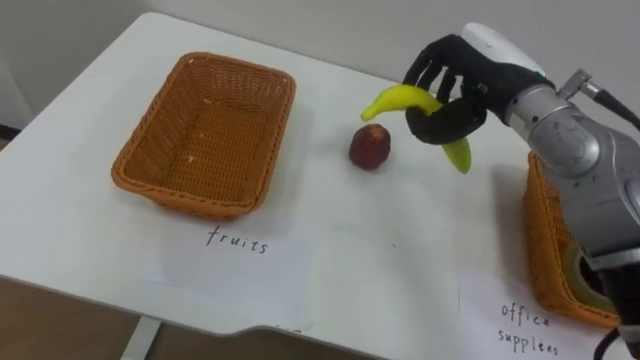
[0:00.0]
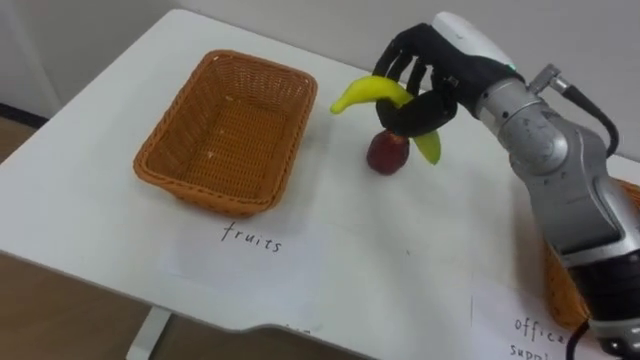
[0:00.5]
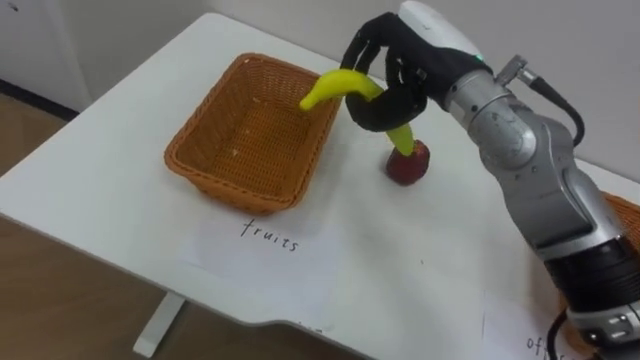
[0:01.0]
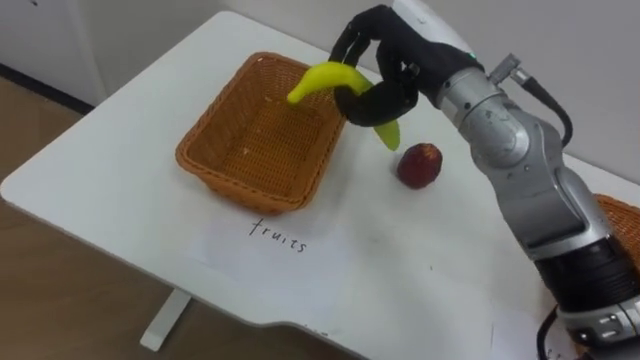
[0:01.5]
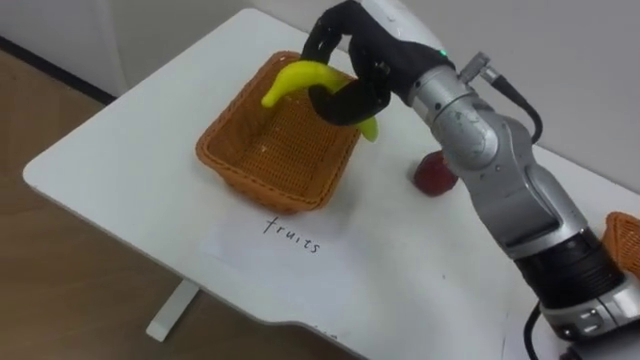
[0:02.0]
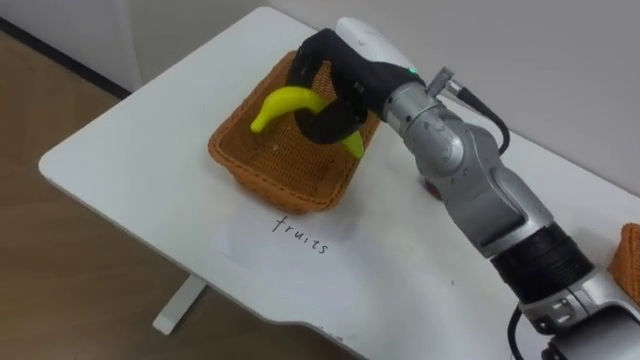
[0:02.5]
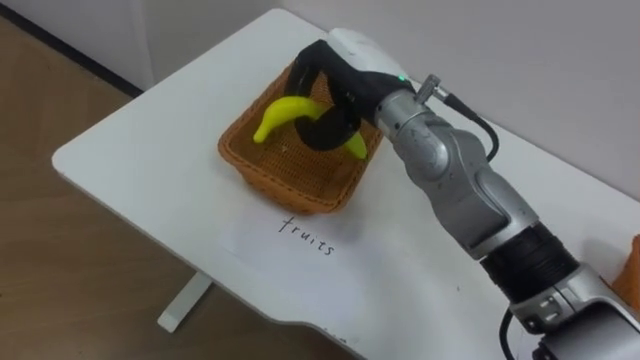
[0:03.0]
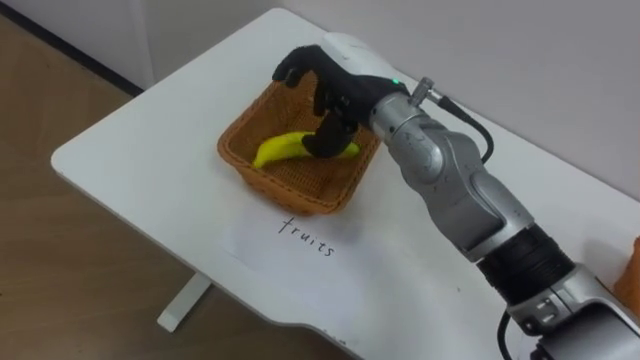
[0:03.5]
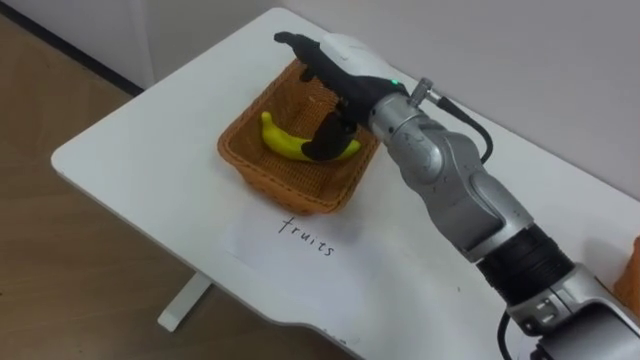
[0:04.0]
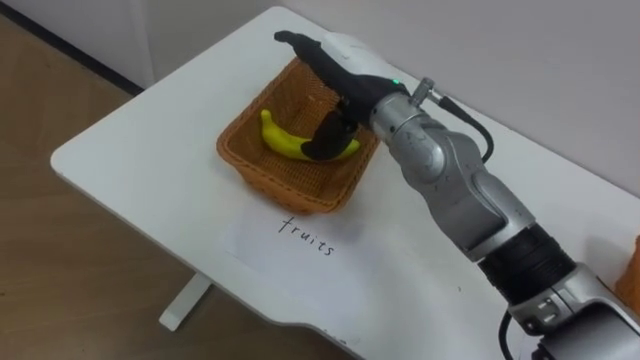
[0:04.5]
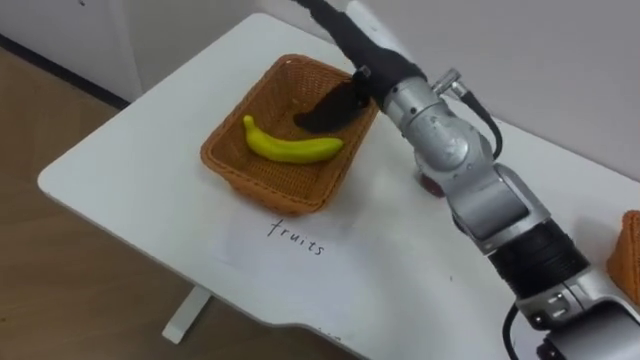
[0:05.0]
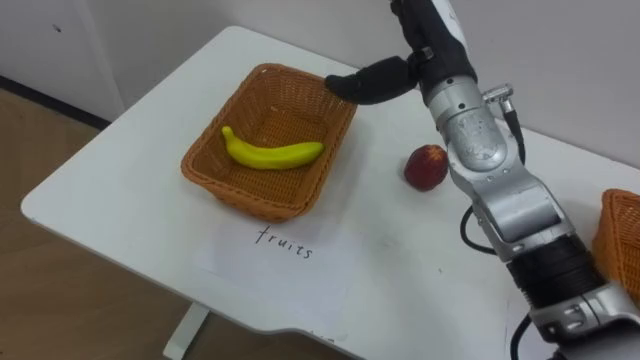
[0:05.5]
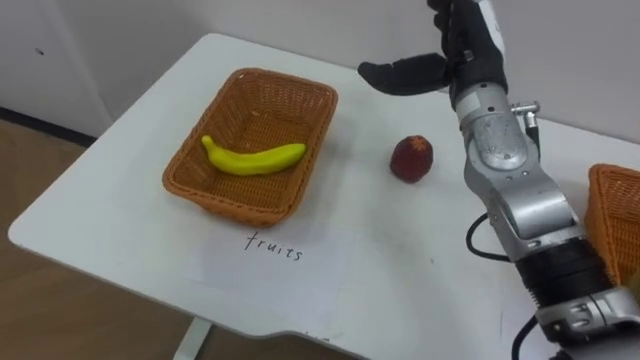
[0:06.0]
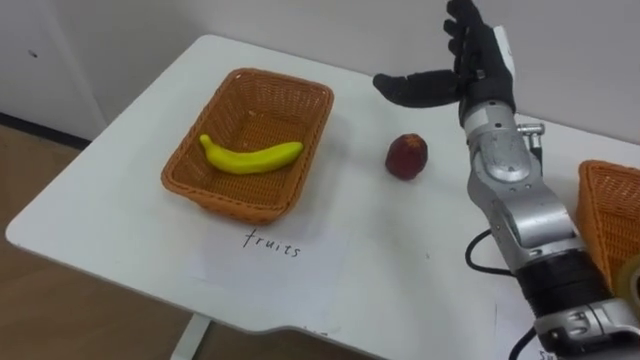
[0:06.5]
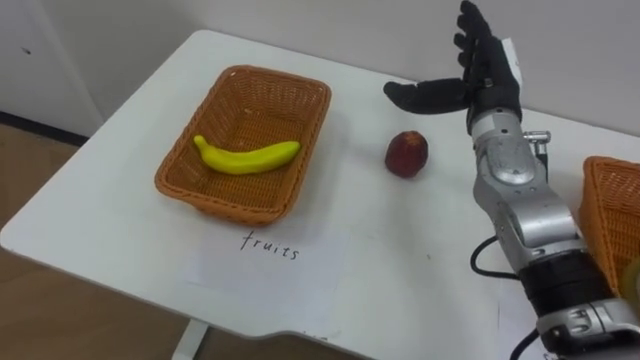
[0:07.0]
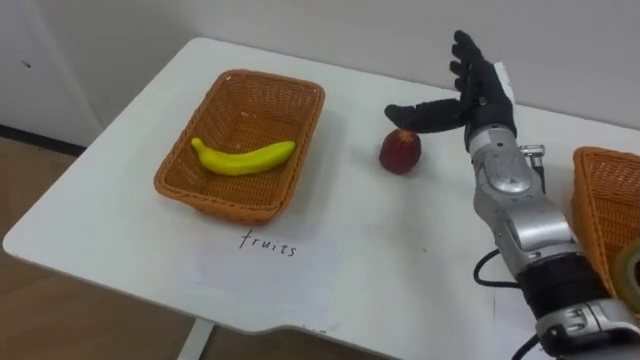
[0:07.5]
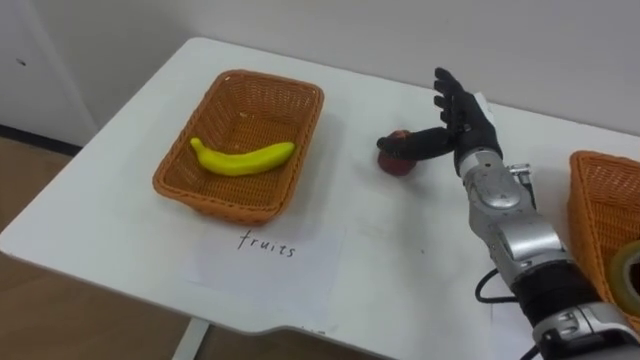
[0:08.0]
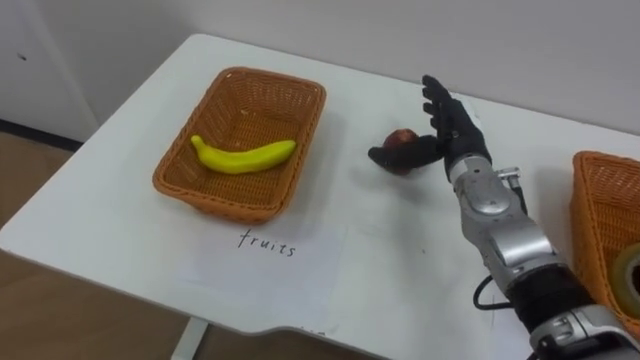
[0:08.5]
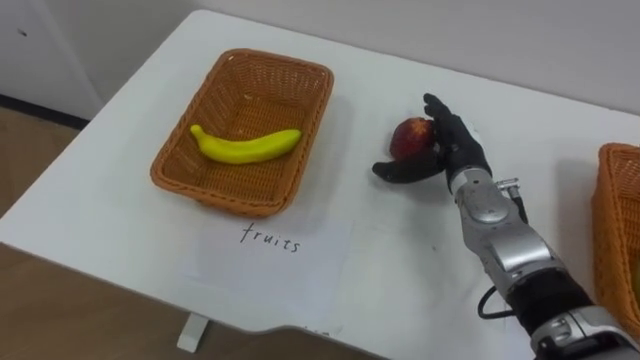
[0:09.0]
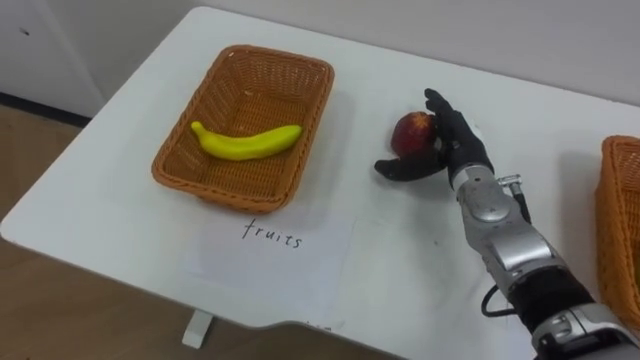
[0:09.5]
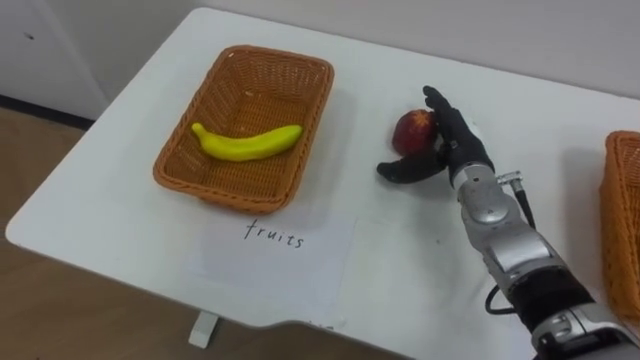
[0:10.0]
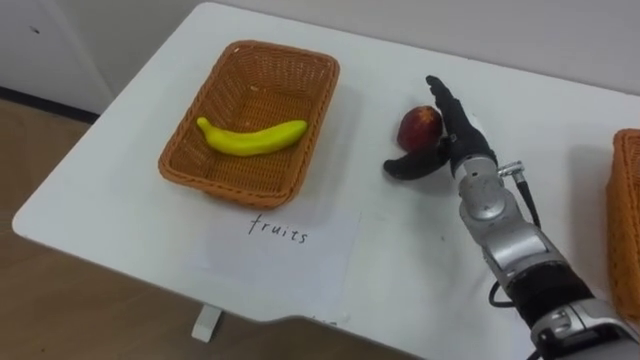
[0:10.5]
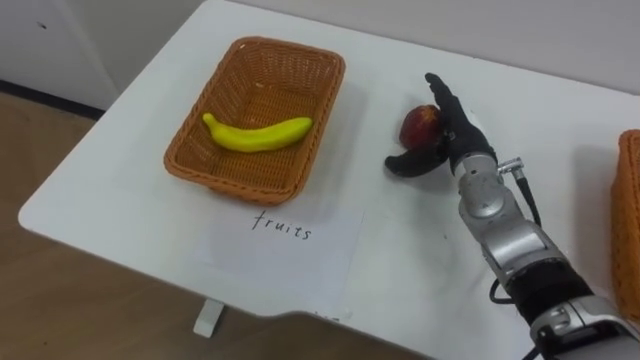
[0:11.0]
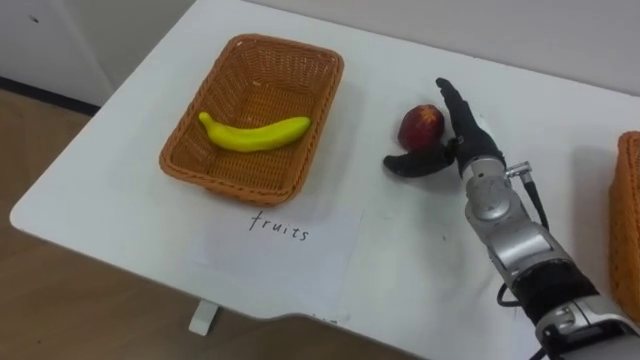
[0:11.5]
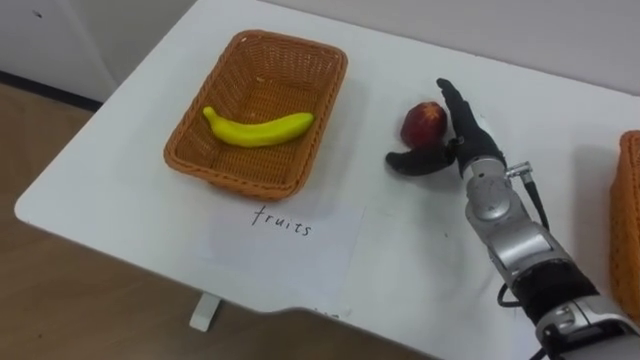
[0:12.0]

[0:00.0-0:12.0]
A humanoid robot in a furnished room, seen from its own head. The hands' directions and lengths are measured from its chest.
Task of the whole recording: Separate the items on the table and place them into the two baskets.
0:00.0 to 0:02.0: The right hand heads to the left, covering approximately 10 cm.
0:02.0 to 0:04.0: The right hand moves about 5 cm, and opens up.
0:04.0 to 0:06.0: The right hand heads to the right, covering some 10 cm.
0:06.0 to 0:08.0: The right hand heads downward, covering about 10 cm.

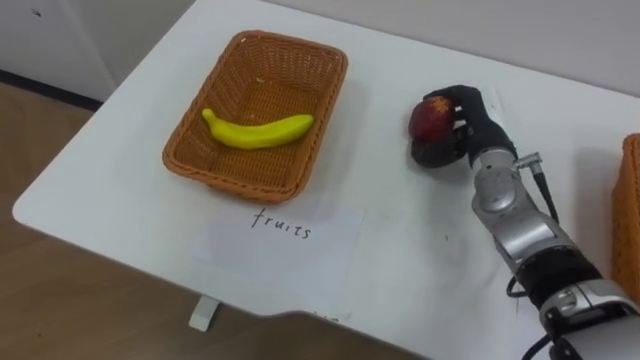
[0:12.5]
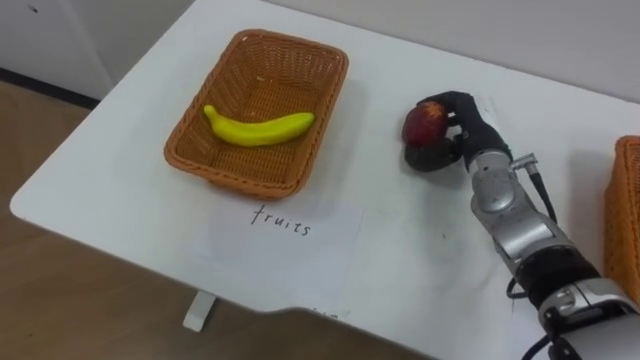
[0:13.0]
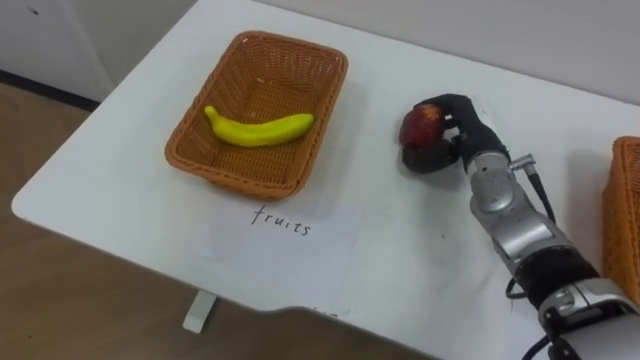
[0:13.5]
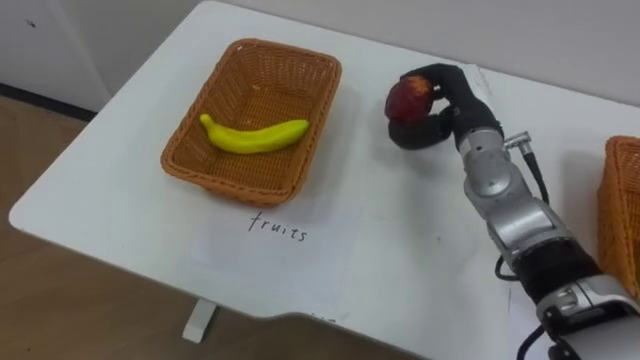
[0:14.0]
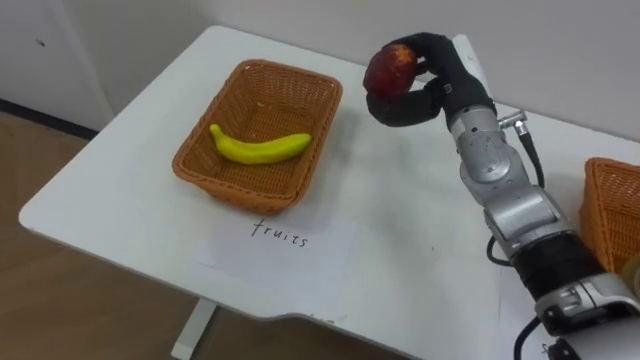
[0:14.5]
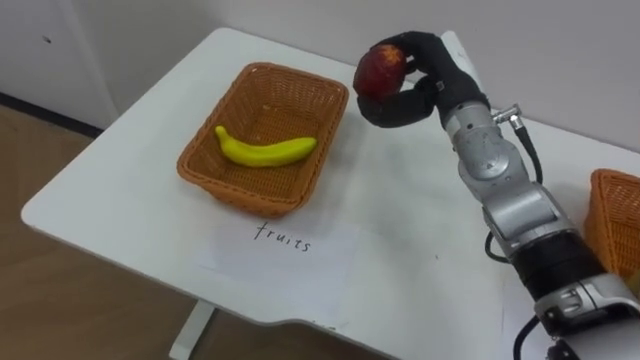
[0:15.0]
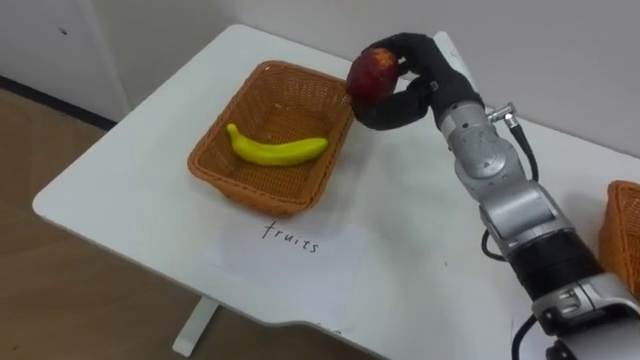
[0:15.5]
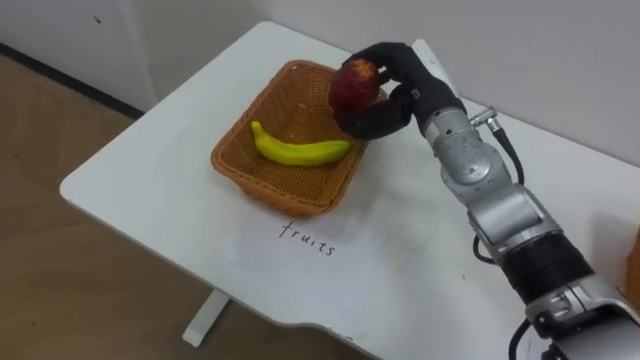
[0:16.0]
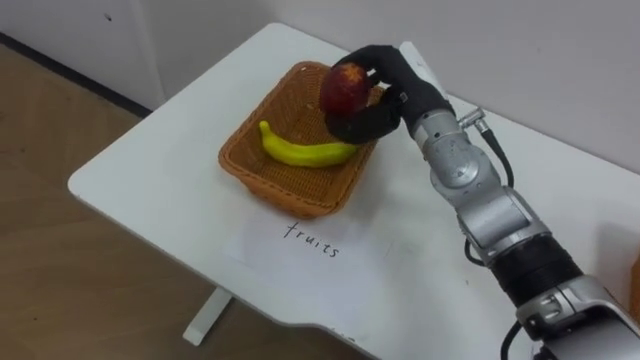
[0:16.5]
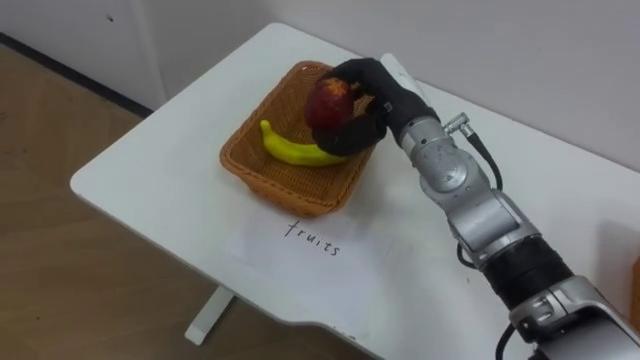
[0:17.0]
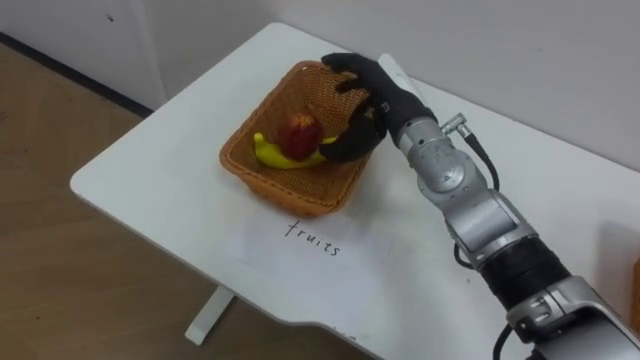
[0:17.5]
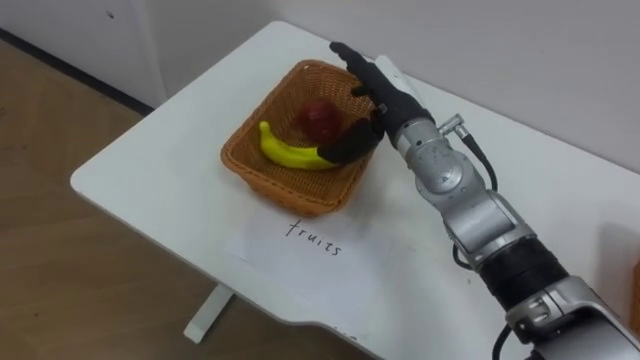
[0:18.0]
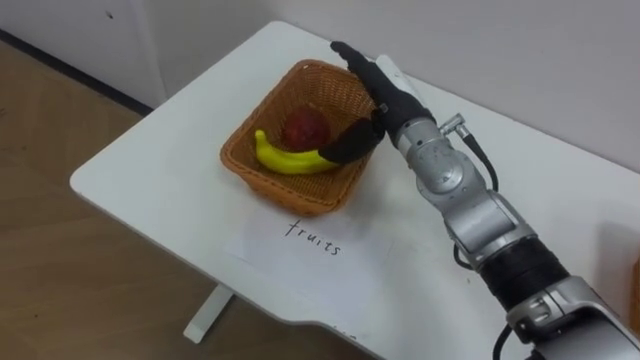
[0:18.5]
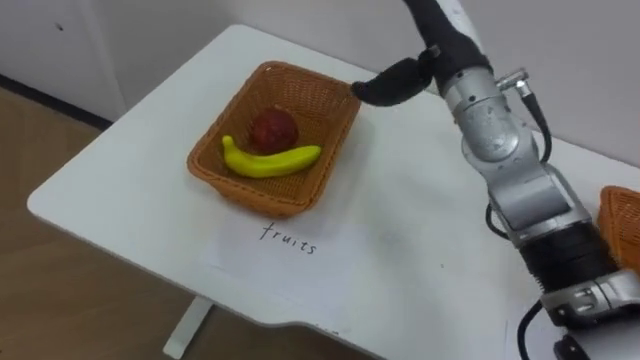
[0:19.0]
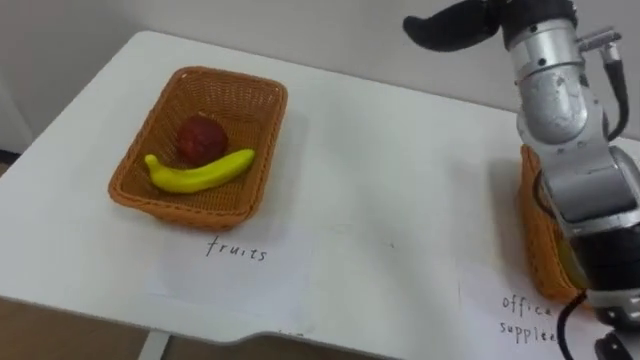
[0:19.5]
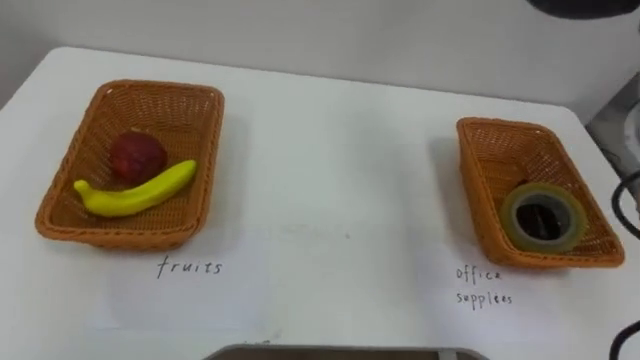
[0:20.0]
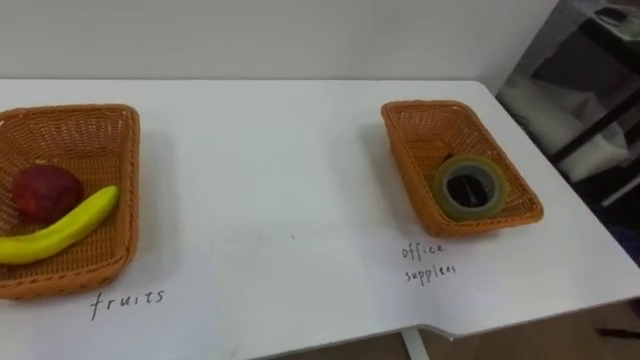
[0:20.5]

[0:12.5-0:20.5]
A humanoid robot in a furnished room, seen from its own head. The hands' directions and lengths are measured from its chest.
Task of the whole recording: Separate the items on the table and place them into the two baskets.
0:12.5 to 0:14.5: The right hand goes approximately 5 cm upward.
0:14.5 to 0:16.5: The right hand moves to the left, some 5 cm.
0:16.5 to 0:18.5: The right hand opens.
